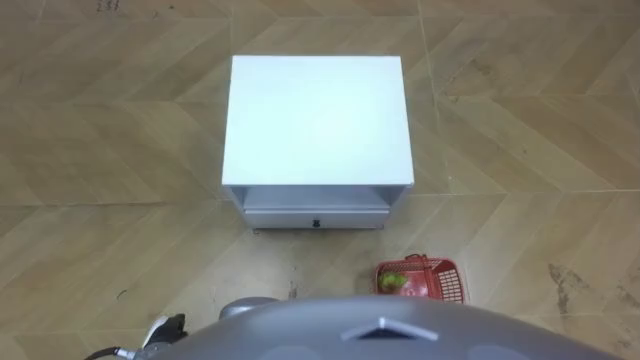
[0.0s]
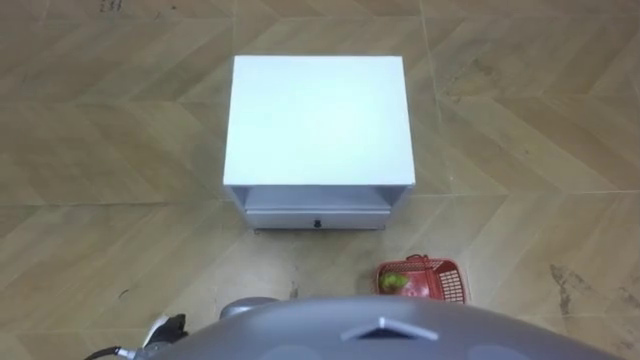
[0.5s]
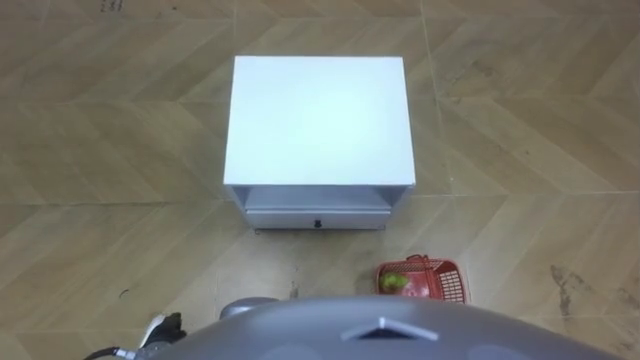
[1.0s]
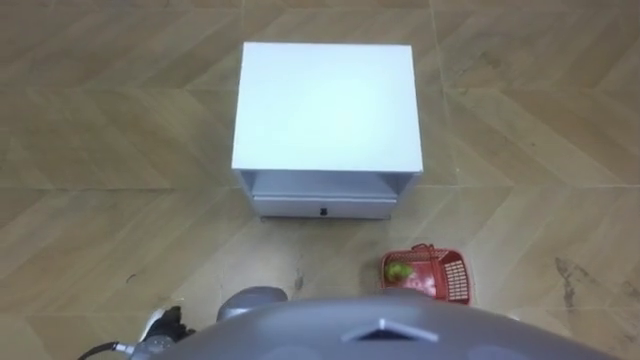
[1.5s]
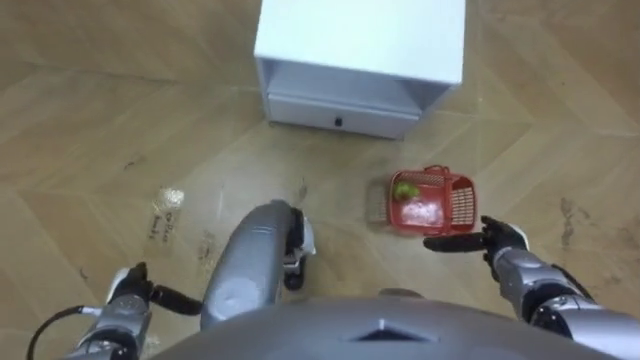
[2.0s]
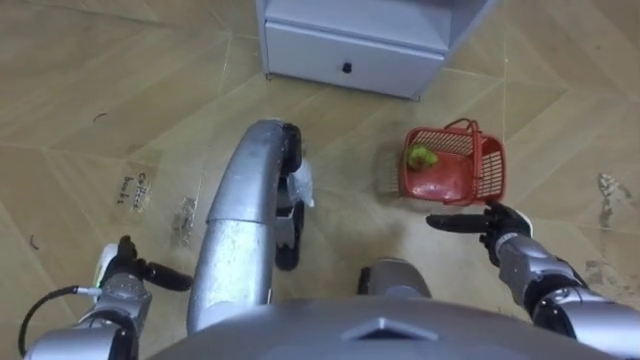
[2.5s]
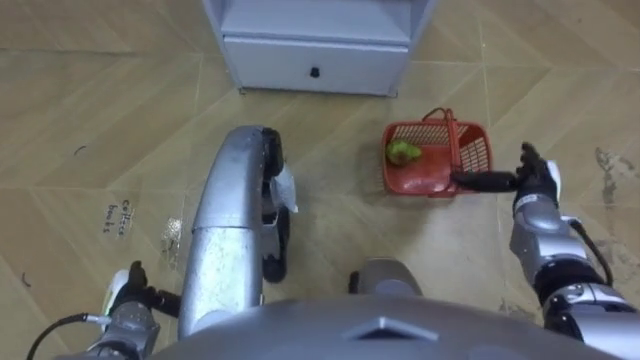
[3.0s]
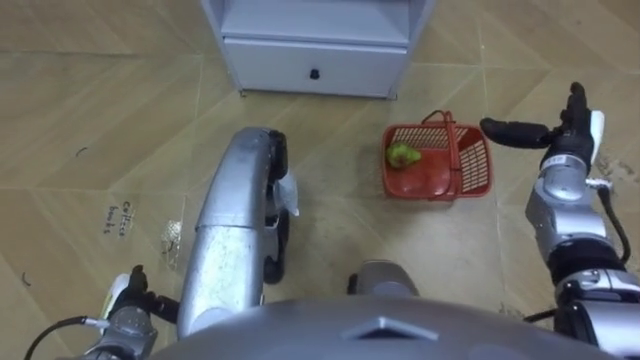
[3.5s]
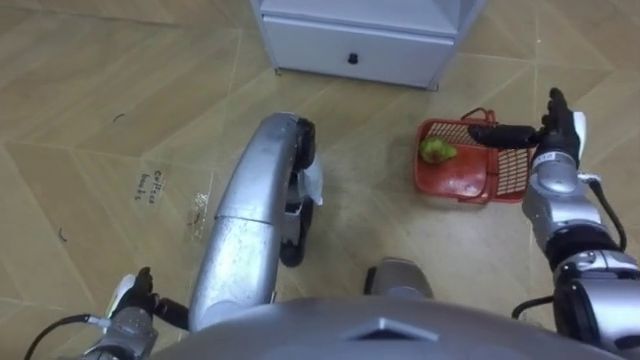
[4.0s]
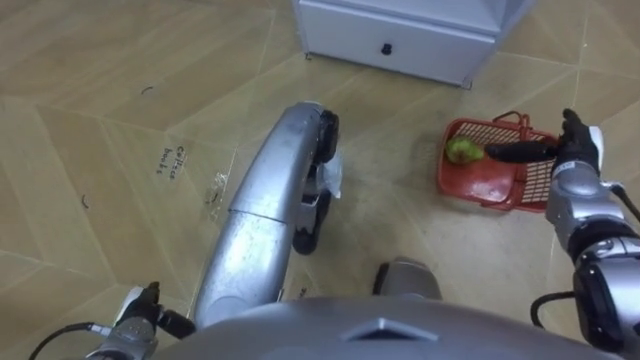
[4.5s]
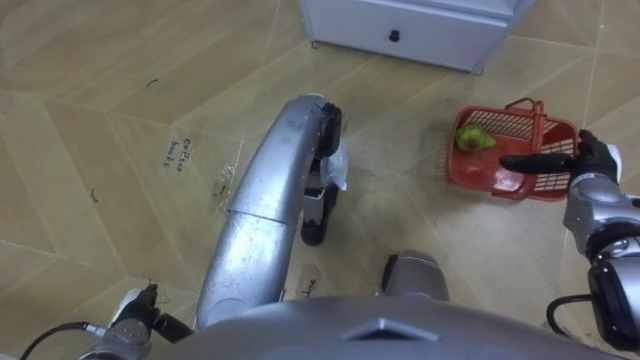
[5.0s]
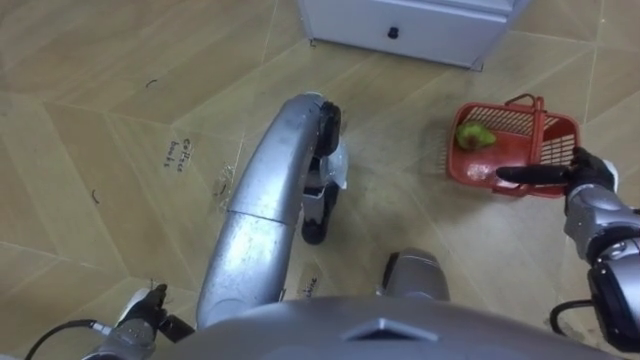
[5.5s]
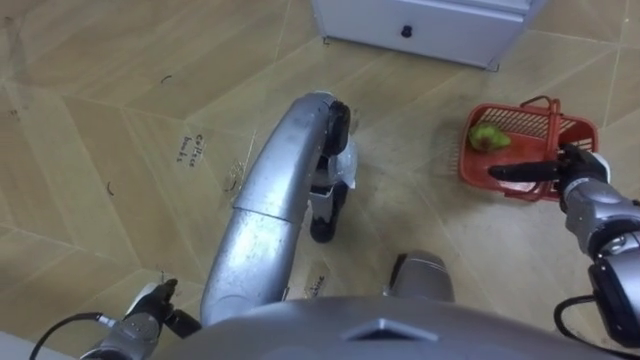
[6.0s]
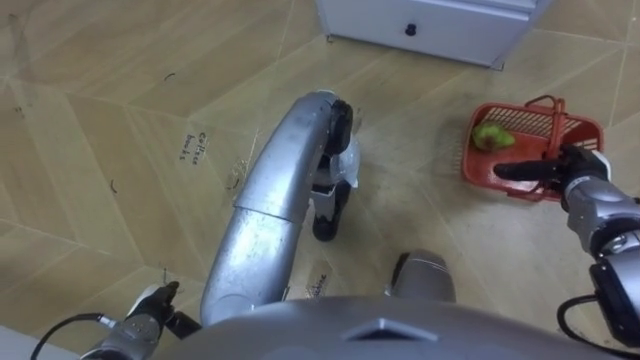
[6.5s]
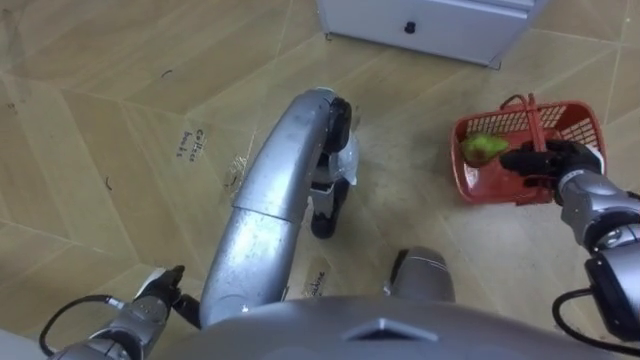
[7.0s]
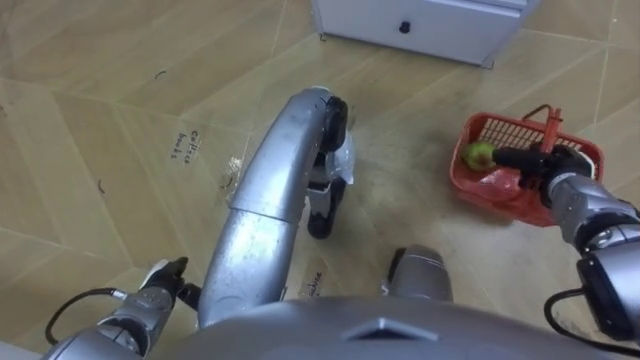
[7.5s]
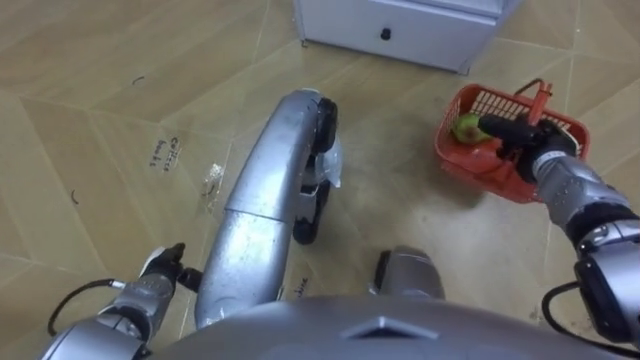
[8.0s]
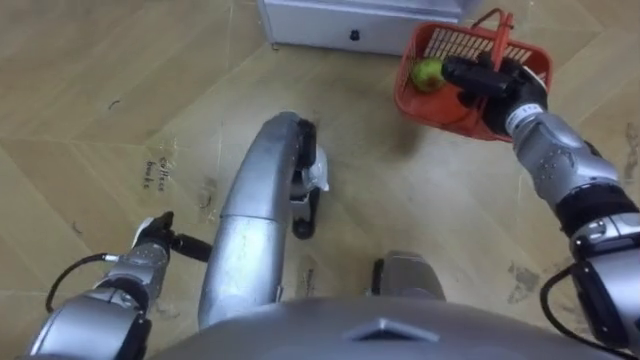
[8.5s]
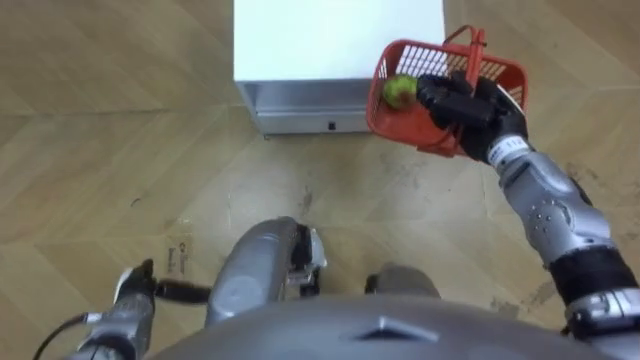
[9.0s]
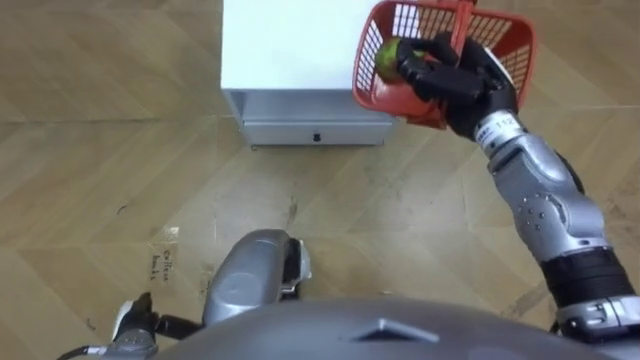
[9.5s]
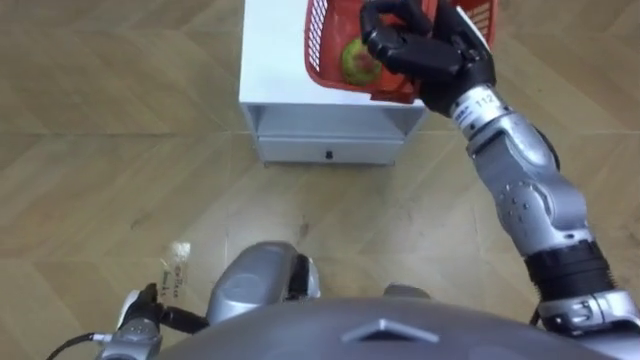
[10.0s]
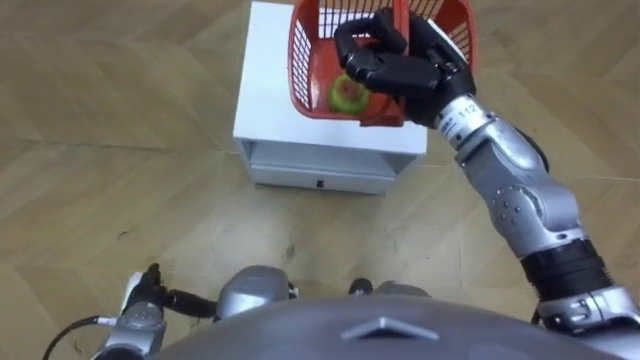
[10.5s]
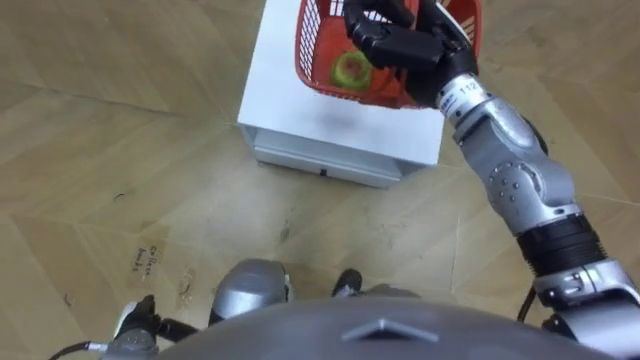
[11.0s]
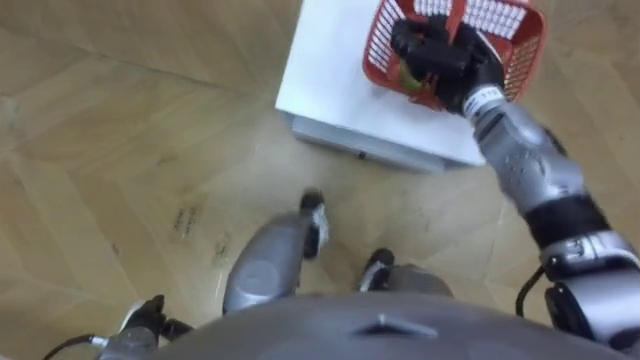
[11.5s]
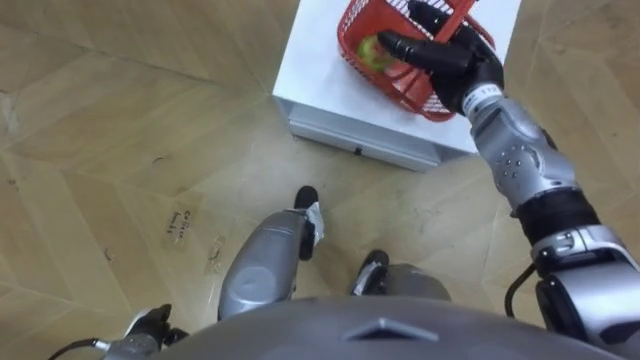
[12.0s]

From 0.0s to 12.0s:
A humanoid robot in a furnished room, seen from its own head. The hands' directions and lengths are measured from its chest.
Task of the whole recording: Pick up the fruit basket from the floor and place it on the cabinet.
From 2.0s to 4.0s: The right hand heads forward and upward, covering roughly 20 cm.
From 4.0s to 6.0s: The right hand ends up roughly 5 cm from where it was.
From 6.0s to 8.0s: The left hand shifts approximately 5 cm forward. Meanwhile the right hand shifts by about 5 cm, and closes up.
From 8.0s to 10.0s: The left hand goes about 5 cm backward; the right hand shifts some 25 cm upward and to the left.
From 10.0s to 12.0s: The right hand shifts about 10 cm downward, and opens its fingers.

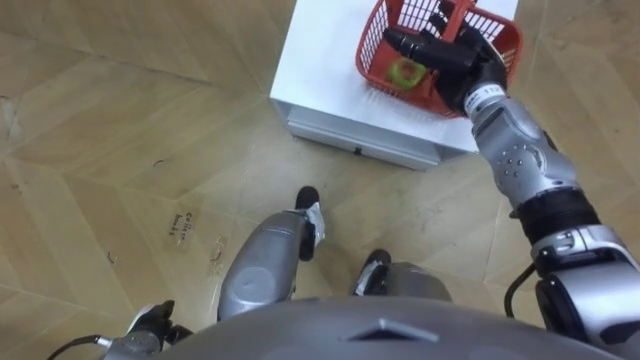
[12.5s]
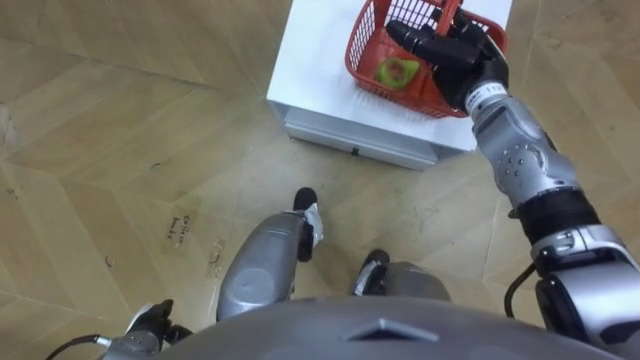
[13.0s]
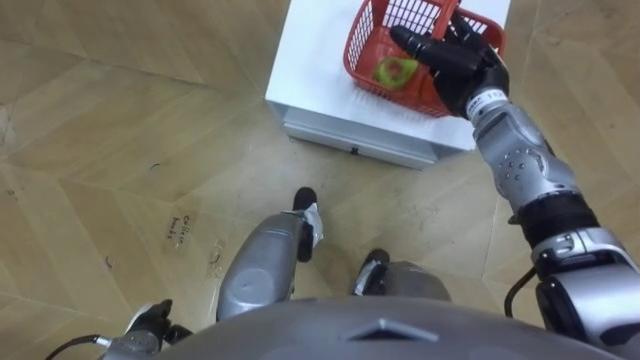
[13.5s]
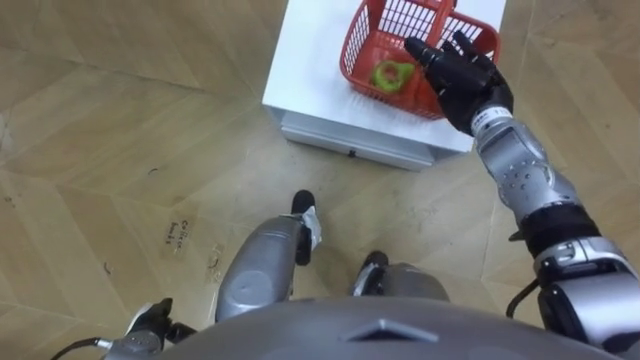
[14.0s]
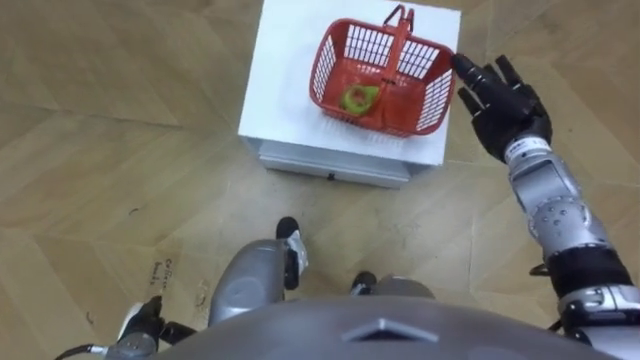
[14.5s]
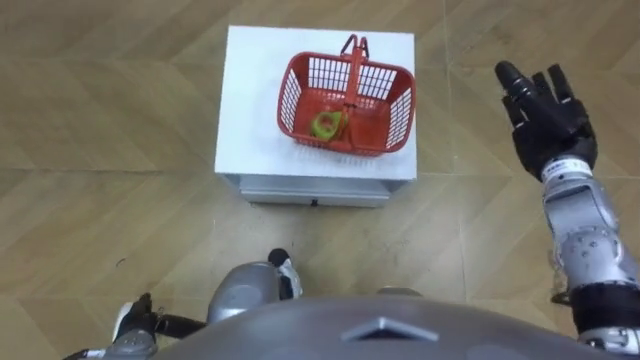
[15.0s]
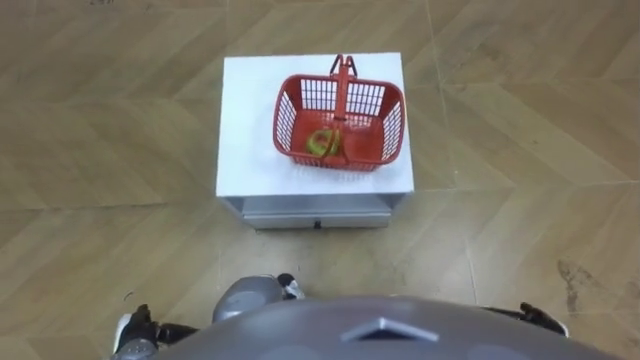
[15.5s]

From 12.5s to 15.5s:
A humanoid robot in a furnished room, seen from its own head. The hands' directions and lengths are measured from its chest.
Task of the whole recording: Pick up the fruit basket from the floor and place it on the cabinet.
From 14.0s to 15.5s: The right hand travels backward and downward by roughly 35 cm.

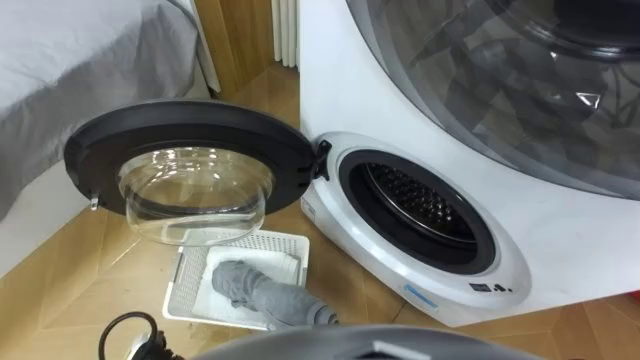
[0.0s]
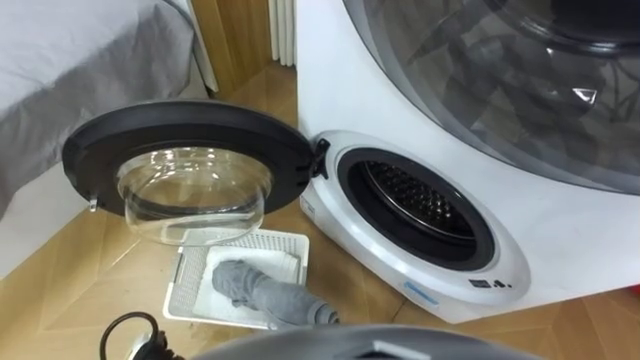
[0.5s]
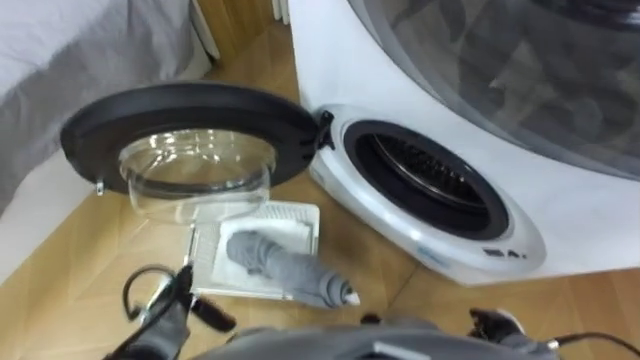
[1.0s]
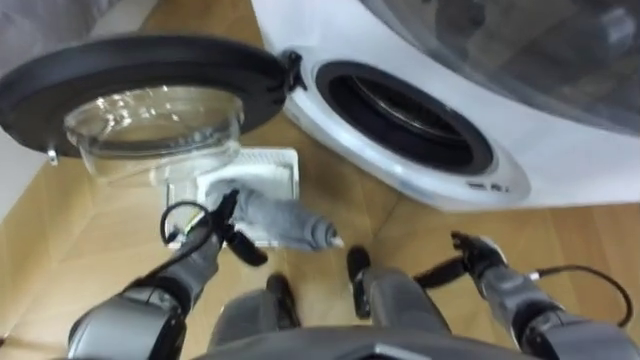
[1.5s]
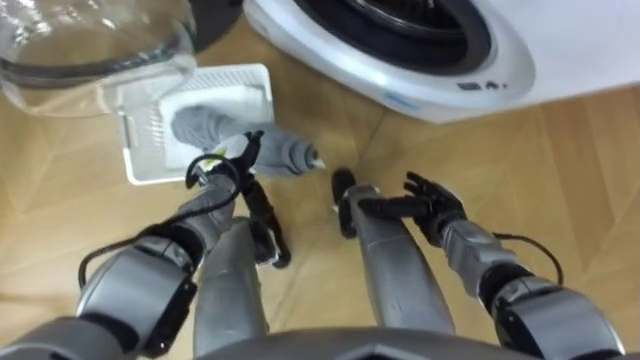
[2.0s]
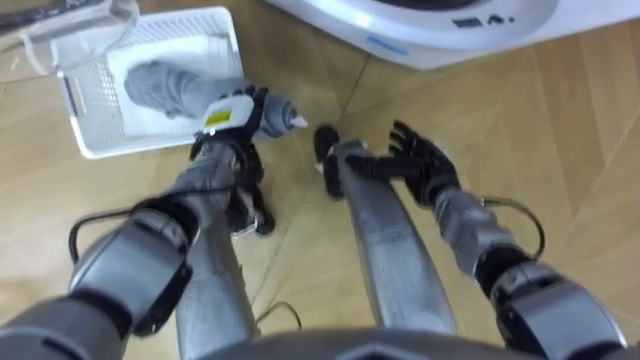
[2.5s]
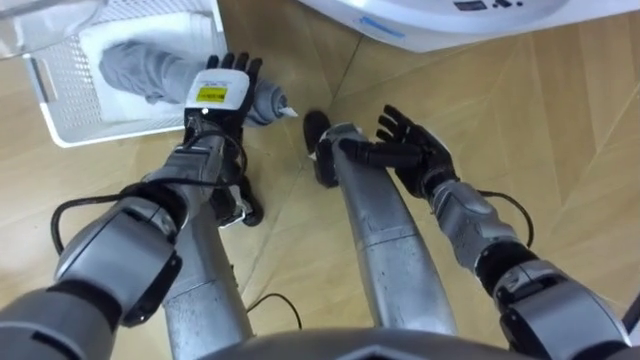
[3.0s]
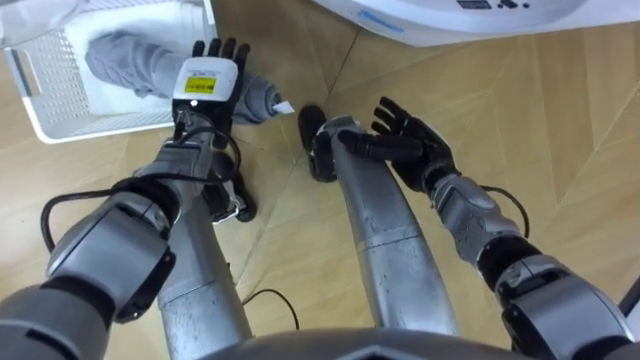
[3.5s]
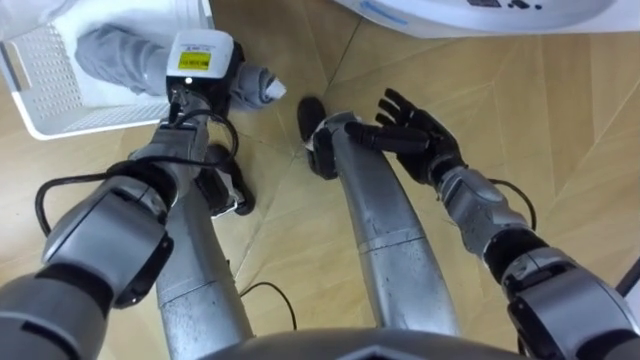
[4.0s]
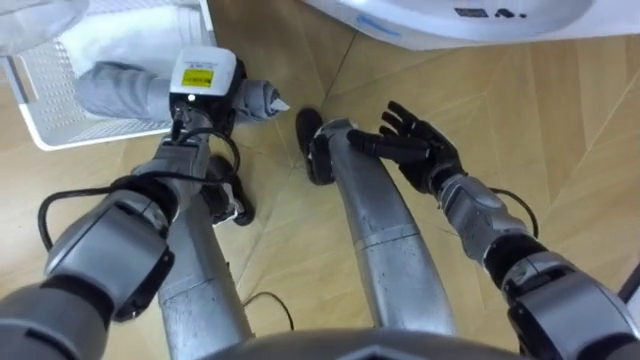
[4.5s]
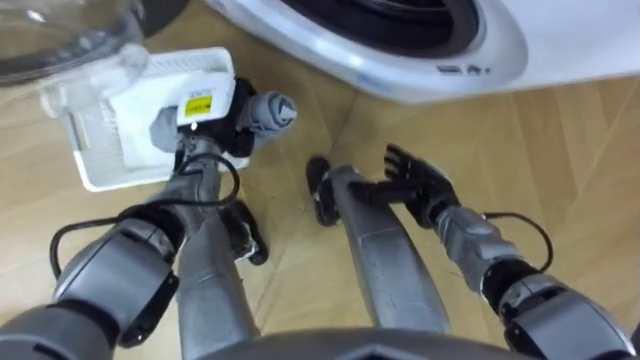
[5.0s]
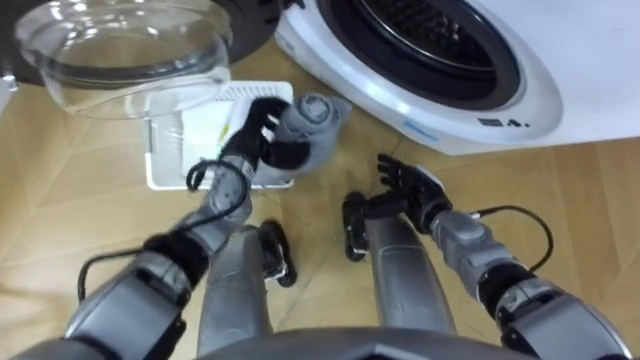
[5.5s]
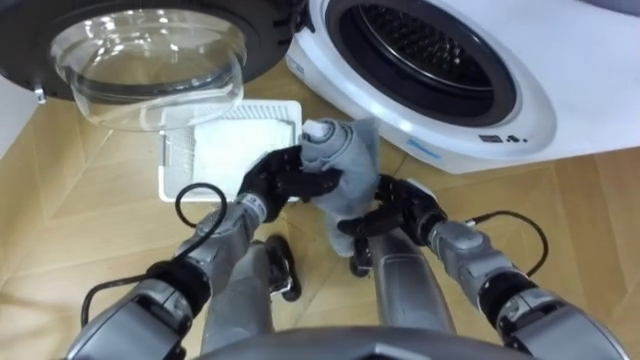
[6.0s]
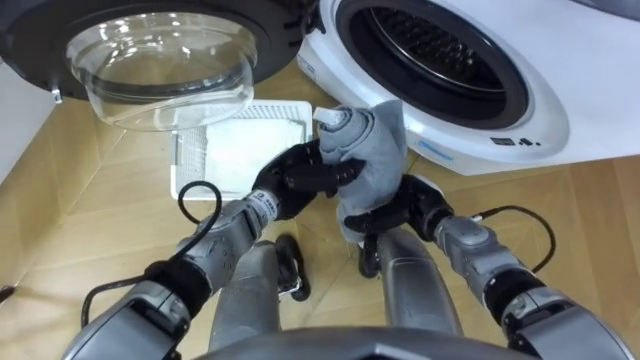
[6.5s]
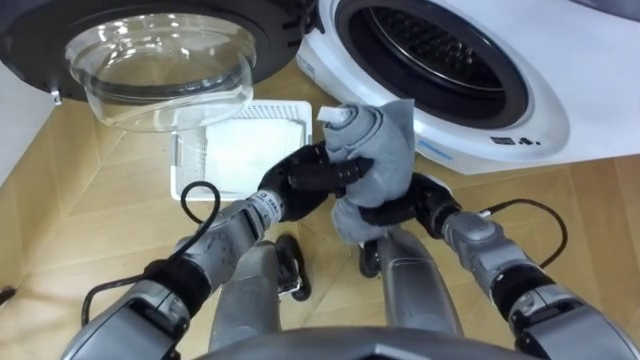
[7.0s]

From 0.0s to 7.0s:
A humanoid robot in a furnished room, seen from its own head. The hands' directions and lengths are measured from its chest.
Task of the whole recording: Take the towel from the basket and put it into the washing machine.
From 2.0s to 3.5s: Both hands move upward and forward, approximately 10 cm.
From 3.5s to 5.0s: The left hand closes its fingers; the right hand ends up some 5 cm from where it was.
From 5.0s to 7.0s: The right hand closes its fingers, while the left hand shifts approximately 15 cm to the right and backward.
